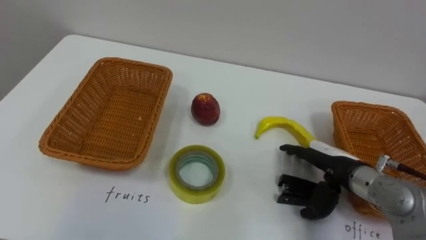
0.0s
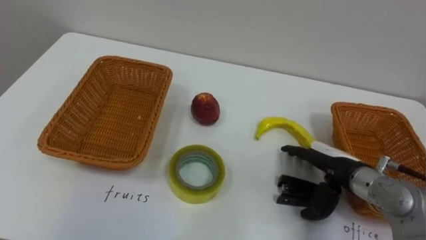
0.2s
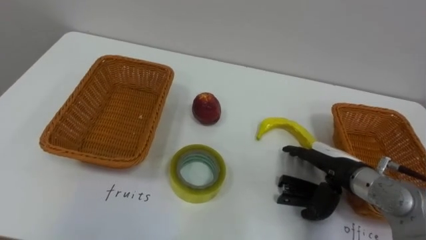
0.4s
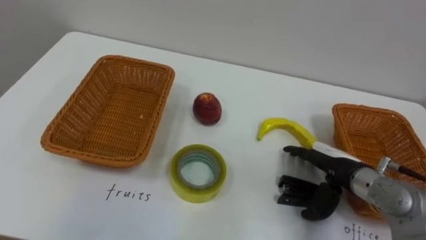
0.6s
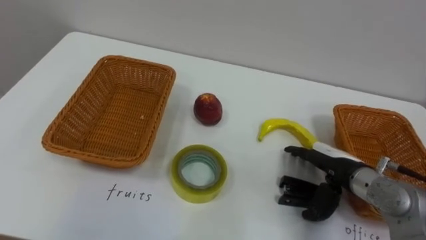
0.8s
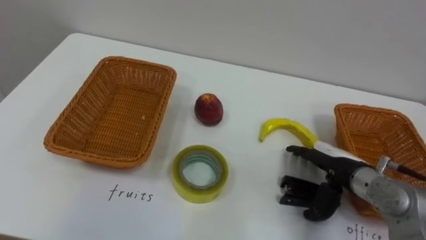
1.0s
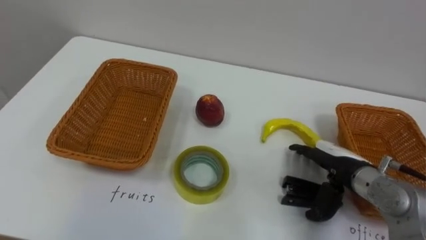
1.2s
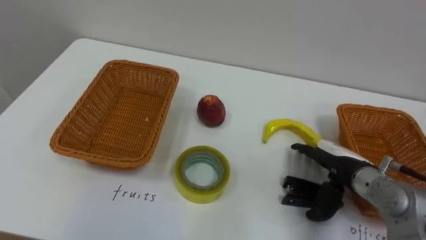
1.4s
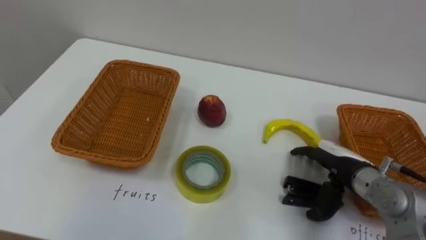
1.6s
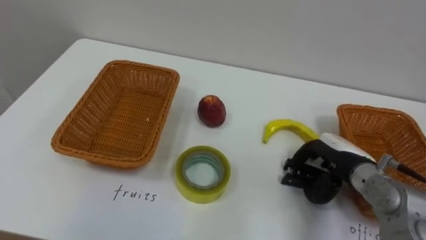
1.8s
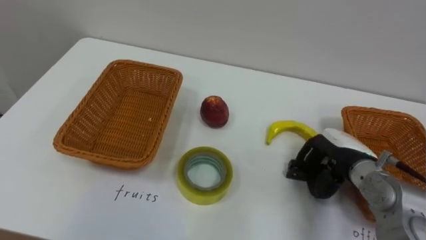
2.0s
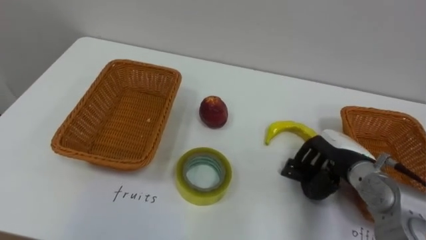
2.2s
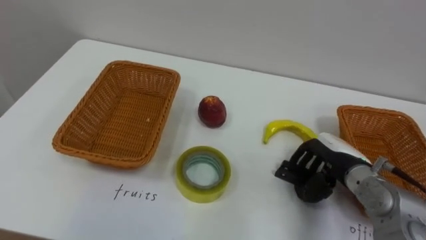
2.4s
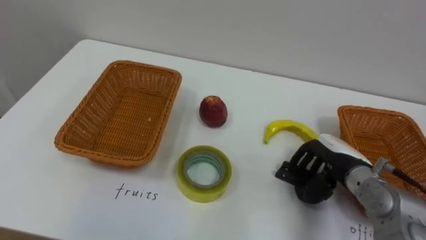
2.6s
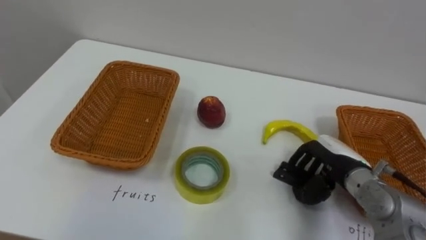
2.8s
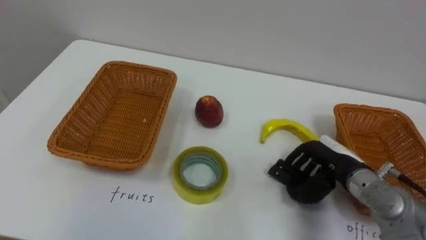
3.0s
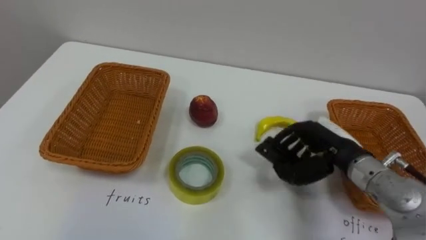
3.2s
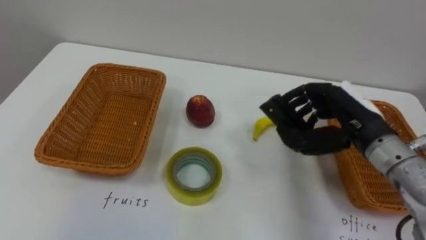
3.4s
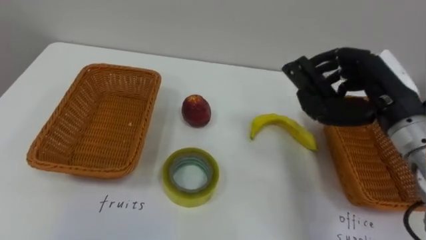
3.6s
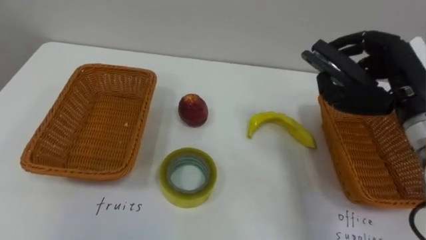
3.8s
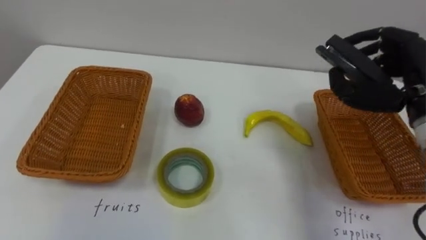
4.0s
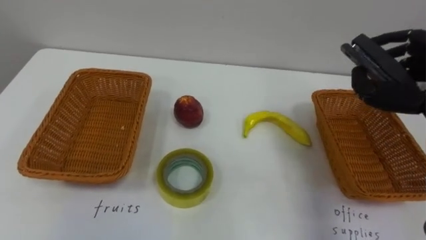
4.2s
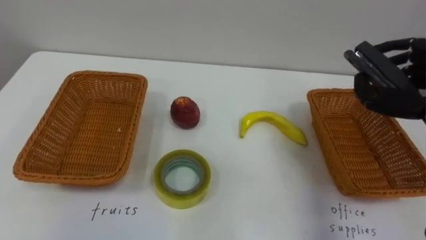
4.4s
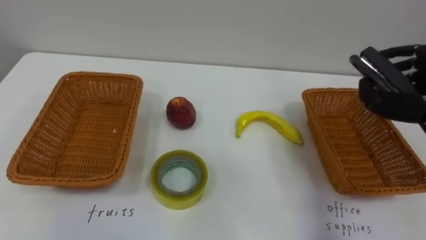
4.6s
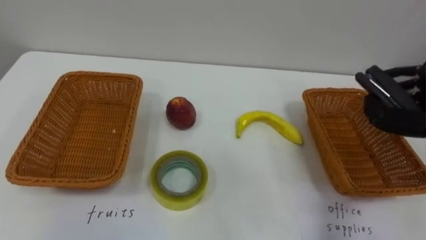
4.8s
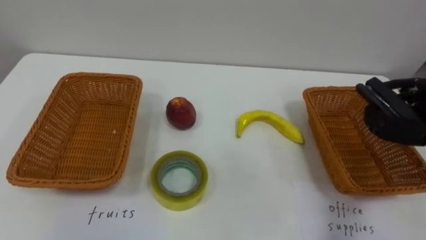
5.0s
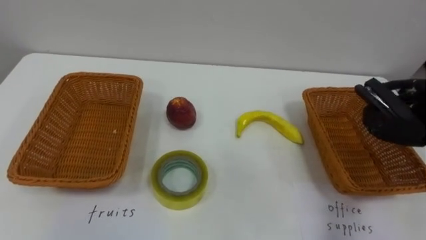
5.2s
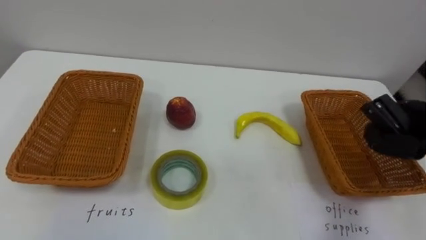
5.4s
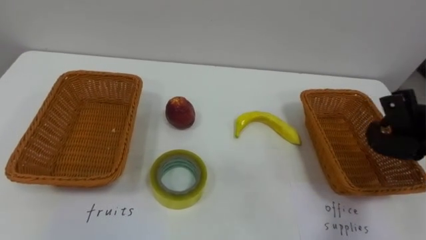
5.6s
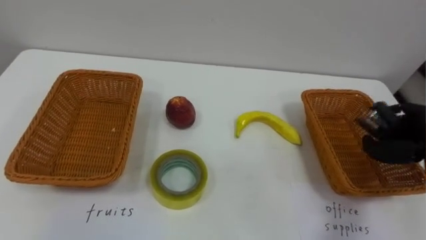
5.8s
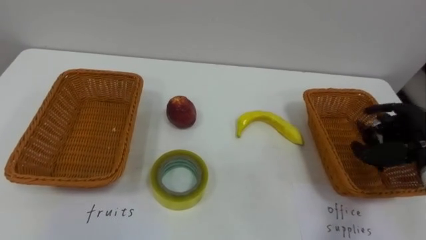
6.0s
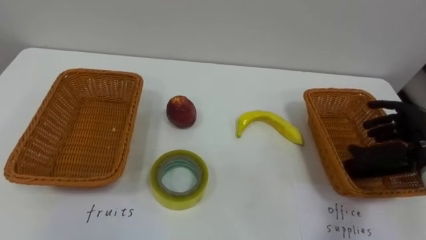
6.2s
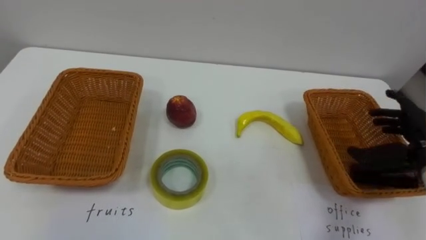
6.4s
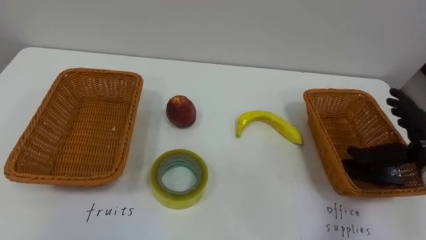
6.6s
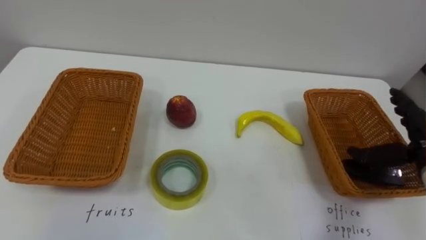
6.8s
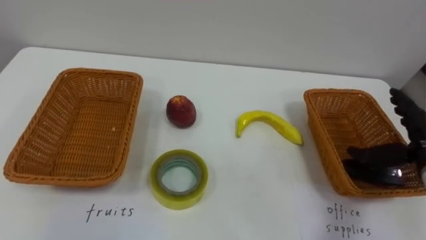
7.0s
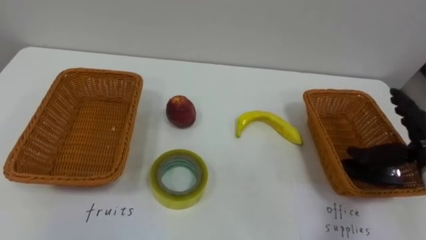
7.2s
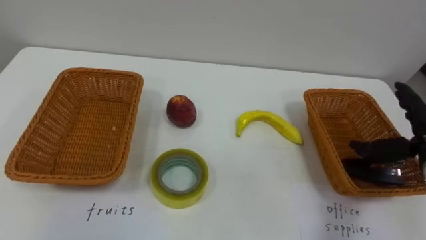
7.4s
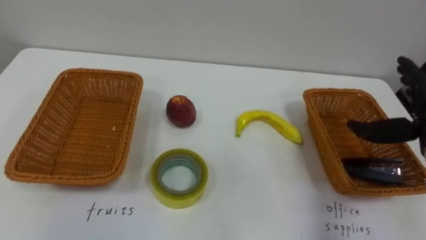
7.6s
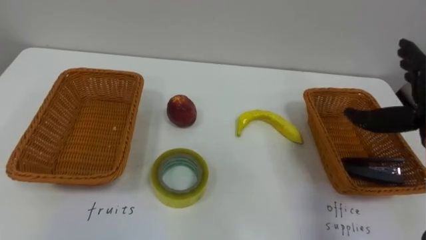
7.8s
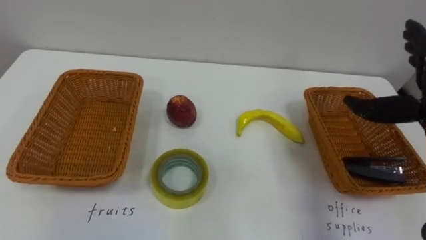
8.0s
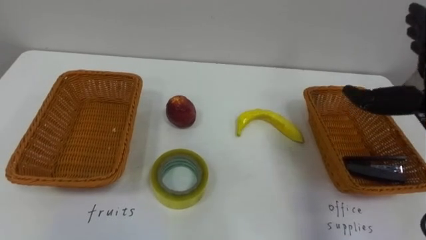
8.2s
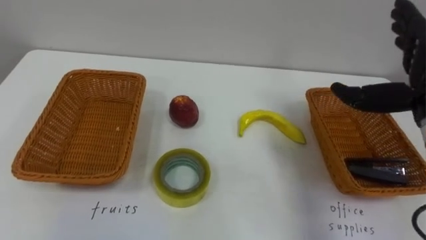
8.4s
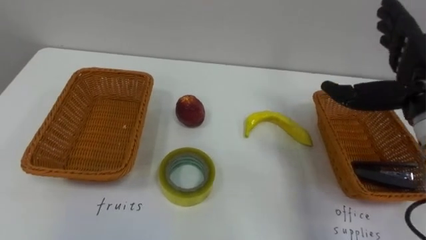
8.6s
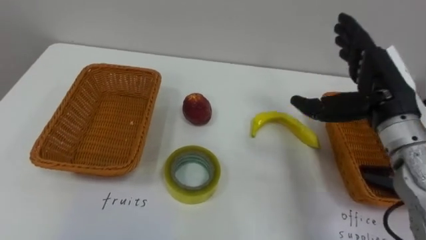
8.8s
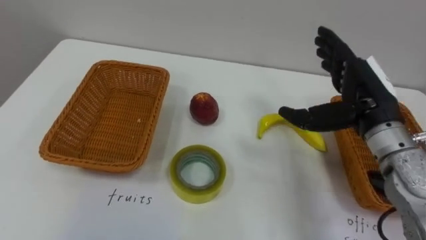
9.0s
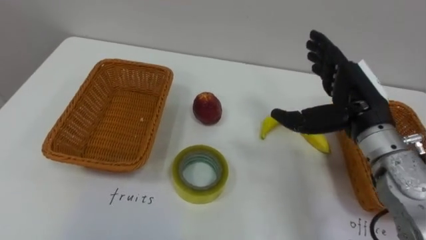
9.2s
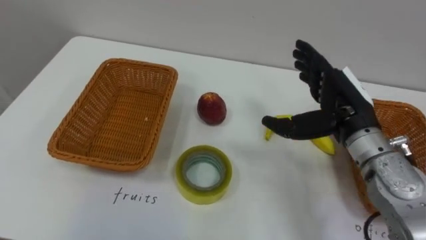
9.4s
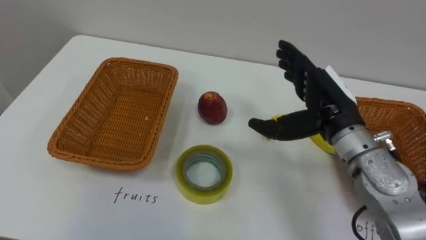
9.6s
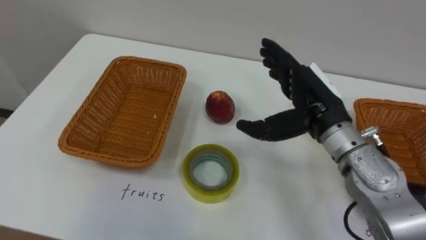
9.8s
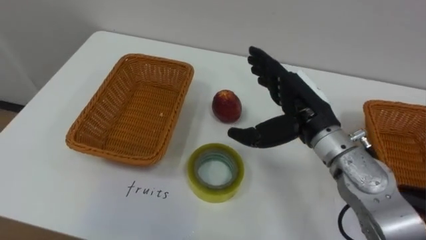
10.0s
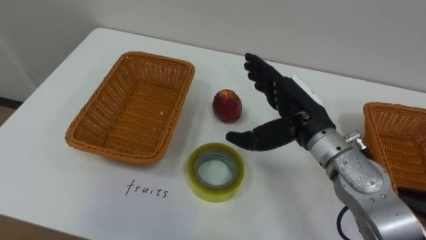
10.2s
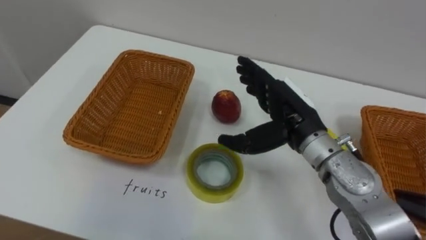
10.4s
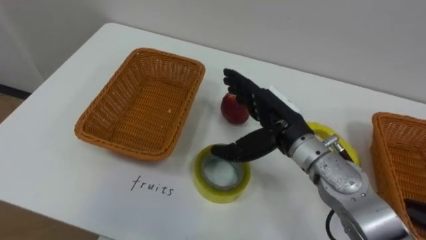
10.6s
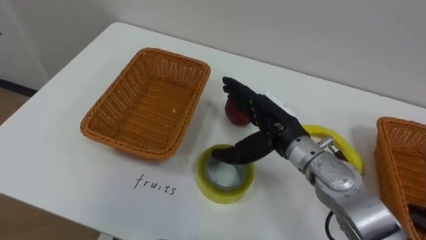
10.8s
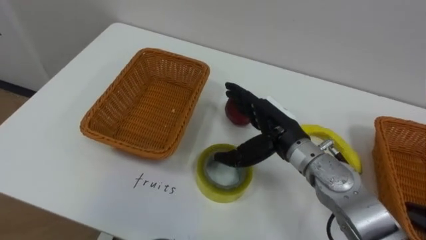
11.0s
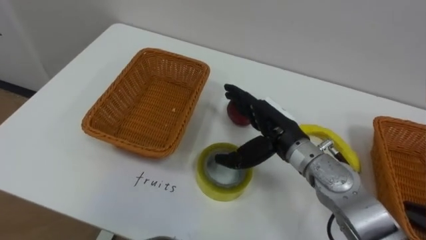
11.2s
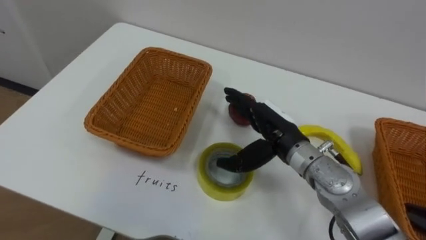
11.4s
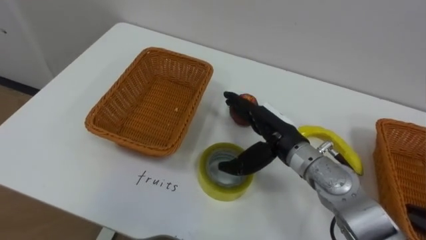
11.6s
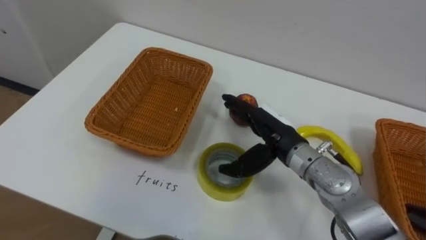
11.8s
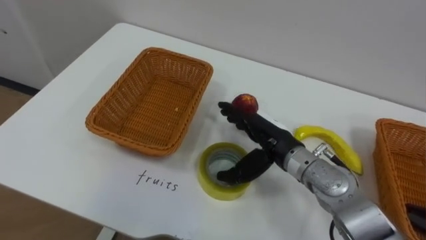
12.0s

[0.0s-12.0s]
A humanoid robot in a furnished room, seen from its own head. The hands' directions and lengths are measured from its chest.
Task of the whole recording: Separate the items on the table and place them into the two baskets.
1.6s to 3.0s: The right hand closes its fingers.
9.0s to 10.4s: The right hand moves to the left, approximately 10 cm.
10.4s to 12.0s: The right hand shifts roughly 5 cm downward.

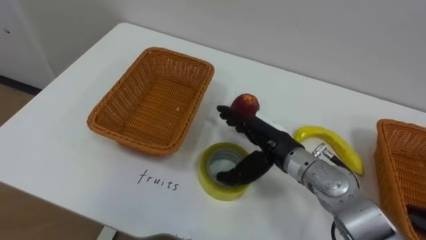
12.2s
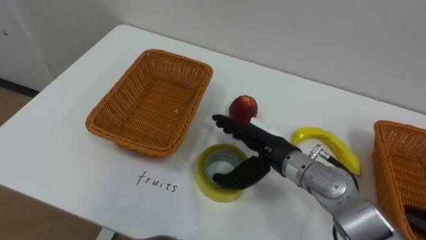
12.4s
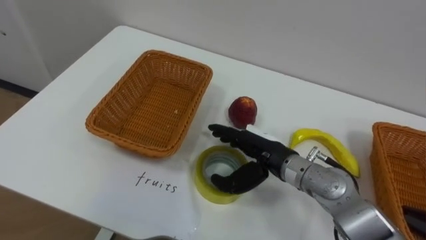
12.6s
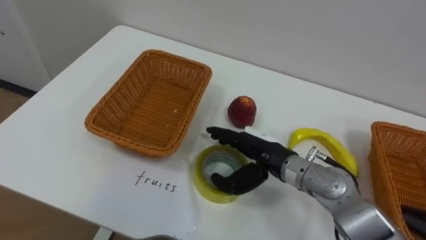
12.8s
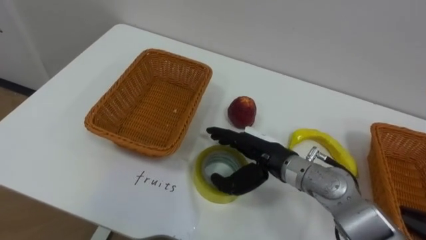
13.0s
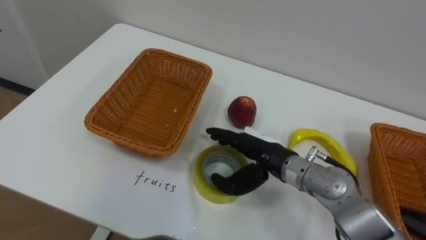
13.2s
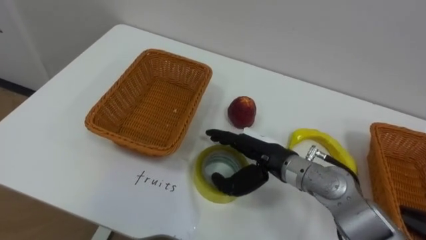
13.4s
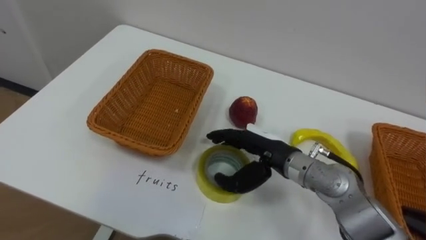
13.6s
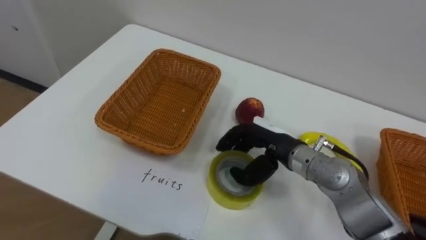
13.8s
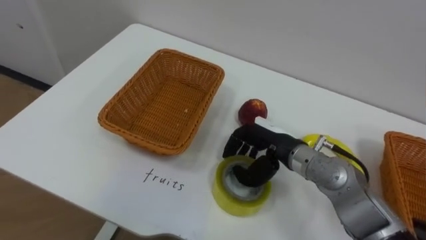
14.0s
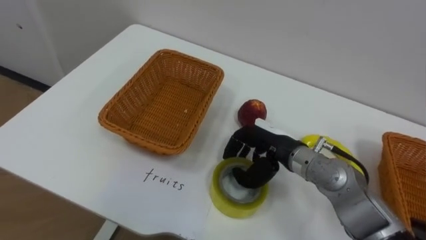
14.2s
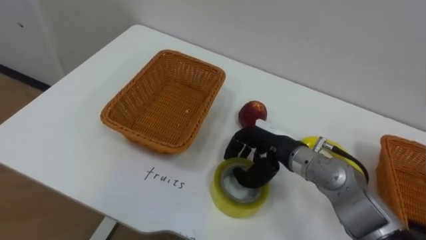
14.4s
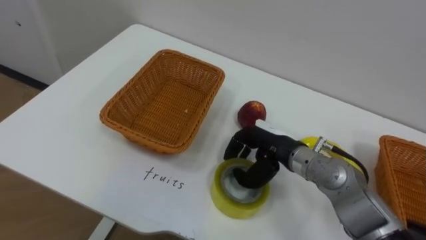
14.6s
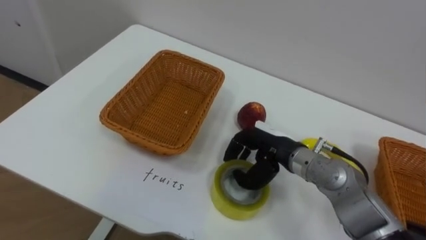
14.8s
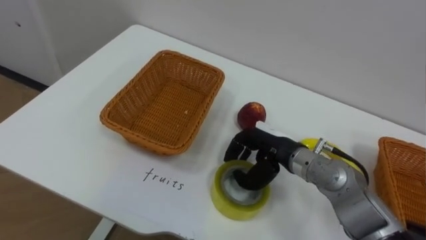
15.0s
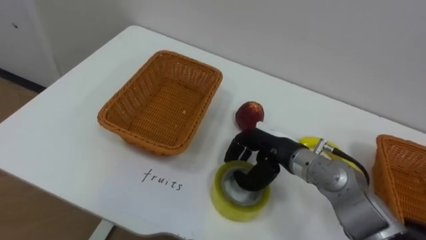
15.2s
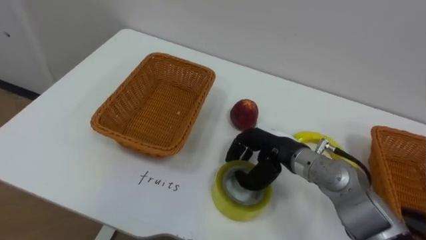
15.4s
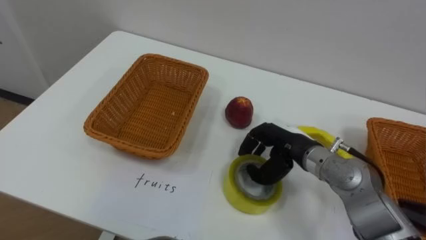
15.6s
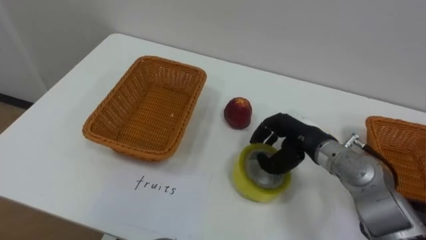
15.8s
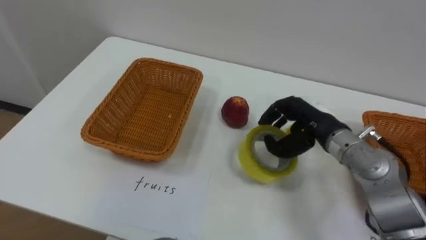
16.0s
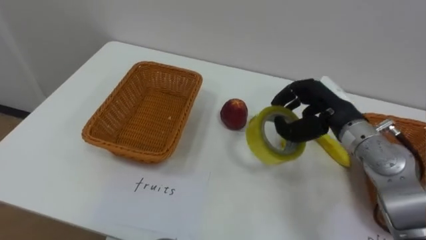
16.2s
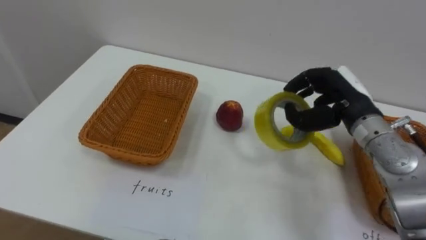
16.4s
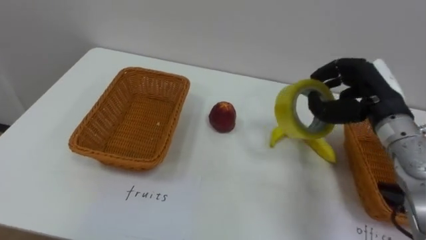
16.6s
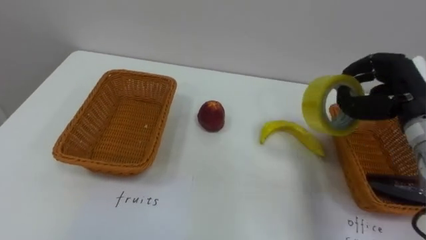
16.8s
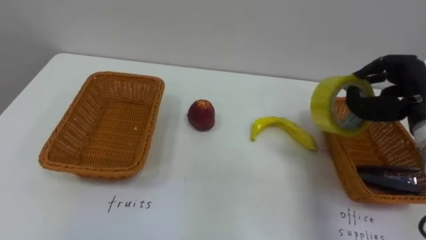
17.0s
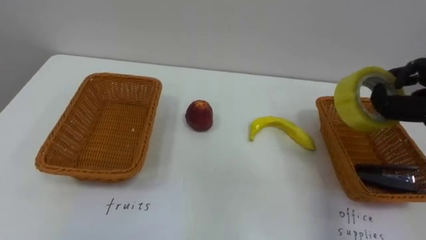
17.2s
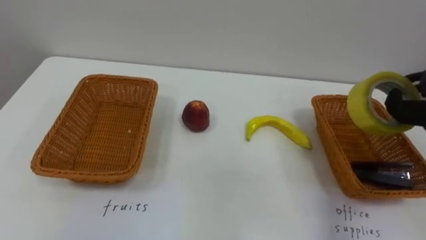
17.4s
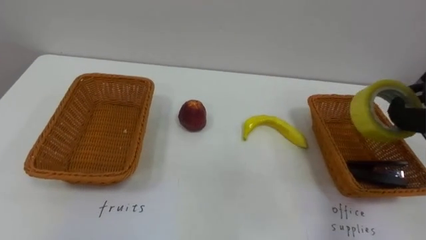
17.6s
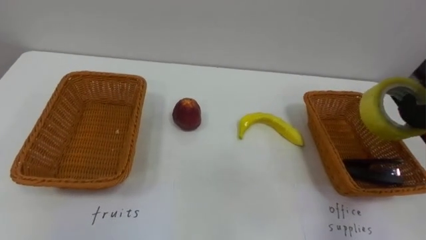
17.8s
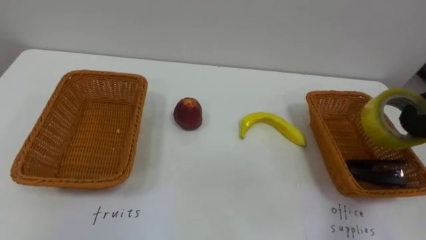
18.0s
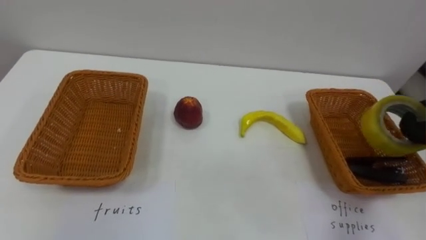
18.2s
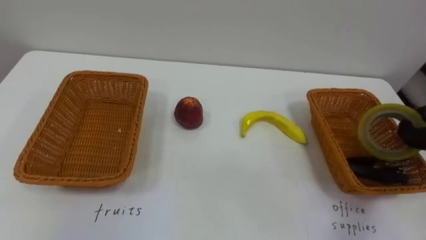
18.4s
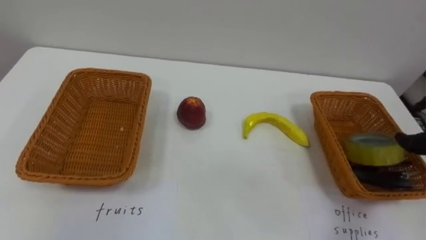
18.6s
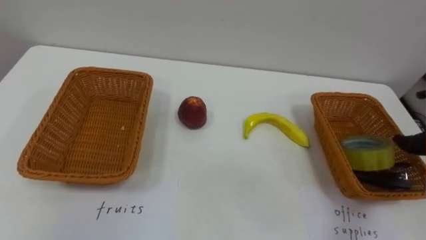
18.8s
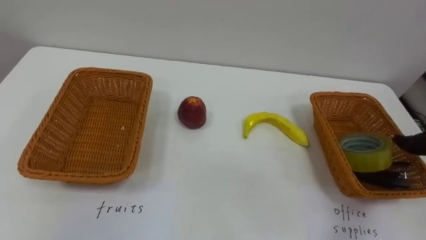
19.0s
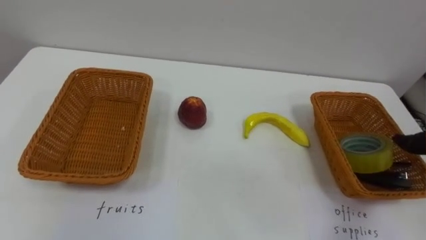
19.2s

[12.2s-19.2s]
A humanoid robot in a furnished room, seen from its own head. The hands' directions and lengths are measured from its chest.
Task of the whole recording: Separate the items on the table and place them into the two baskets.
13.6s to 15.0s: The right hand closes its fingers.
15.0s to 16.4s: The right hand heads to the right and upward, covering some 15 cm.
